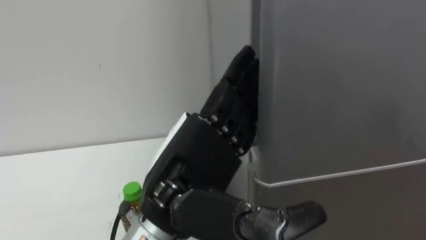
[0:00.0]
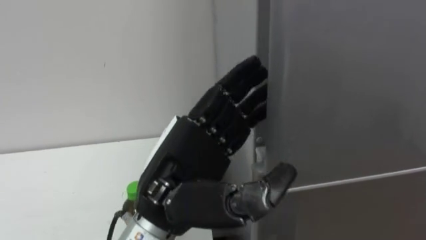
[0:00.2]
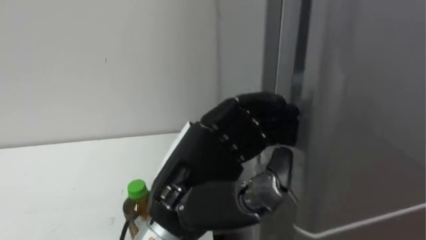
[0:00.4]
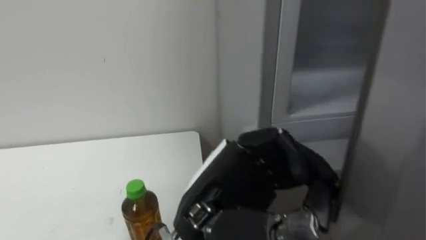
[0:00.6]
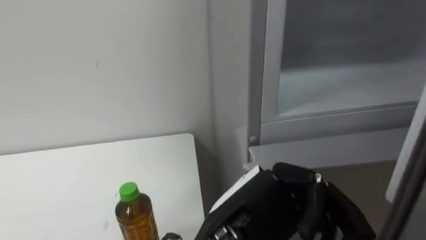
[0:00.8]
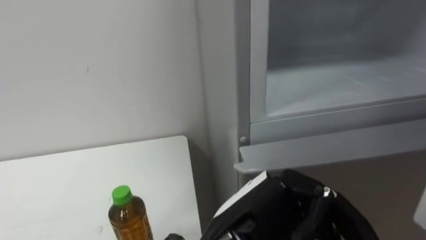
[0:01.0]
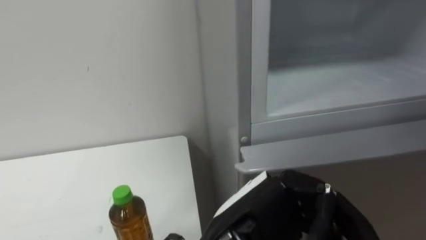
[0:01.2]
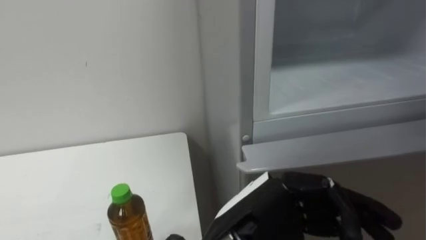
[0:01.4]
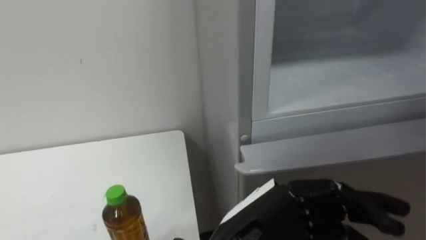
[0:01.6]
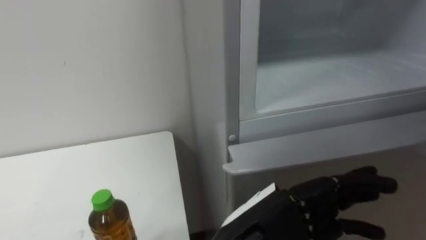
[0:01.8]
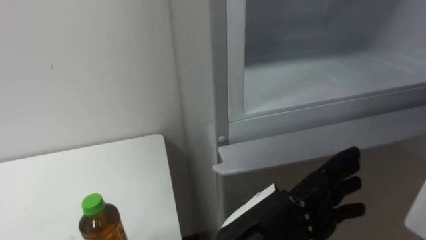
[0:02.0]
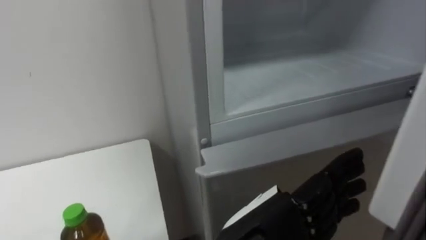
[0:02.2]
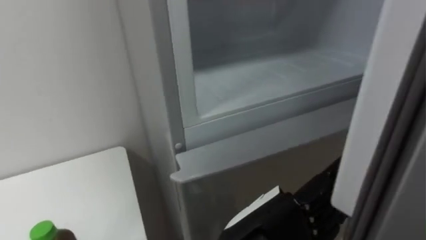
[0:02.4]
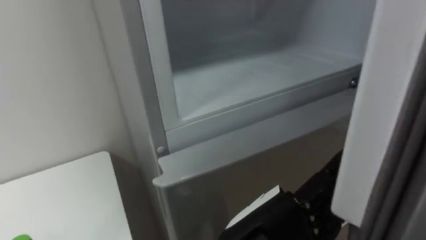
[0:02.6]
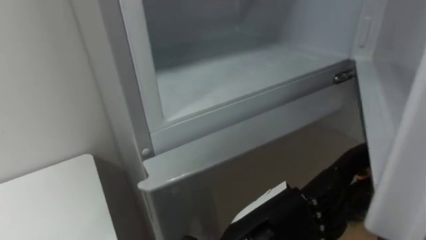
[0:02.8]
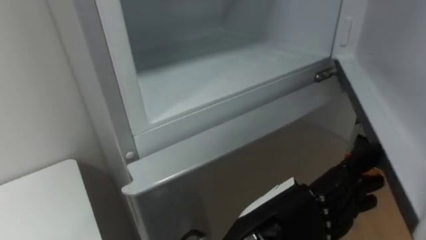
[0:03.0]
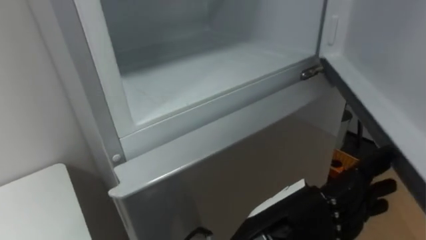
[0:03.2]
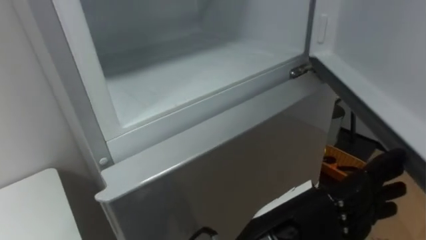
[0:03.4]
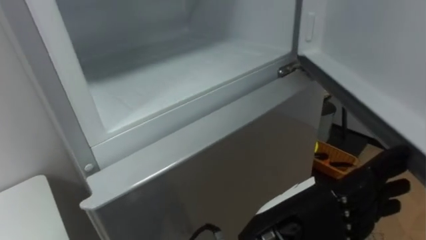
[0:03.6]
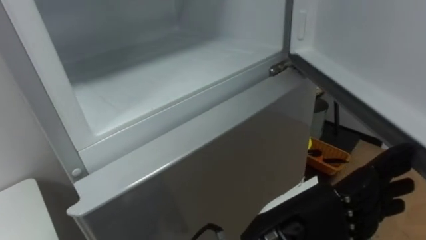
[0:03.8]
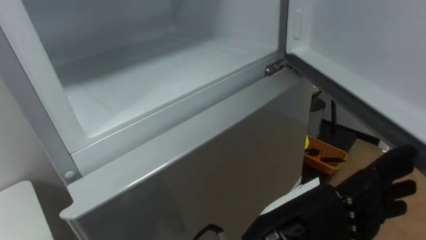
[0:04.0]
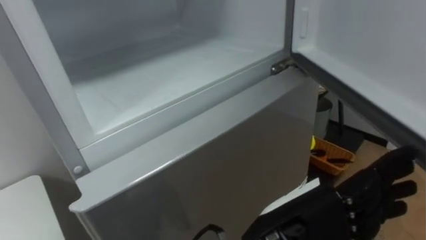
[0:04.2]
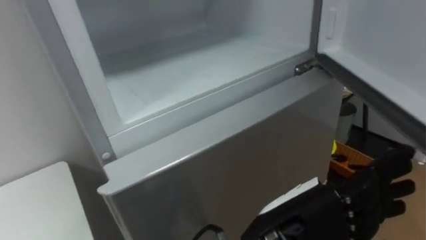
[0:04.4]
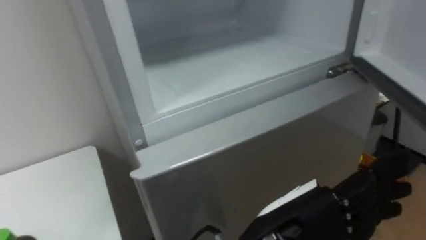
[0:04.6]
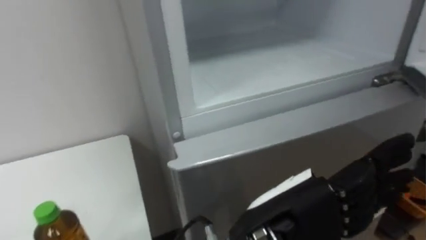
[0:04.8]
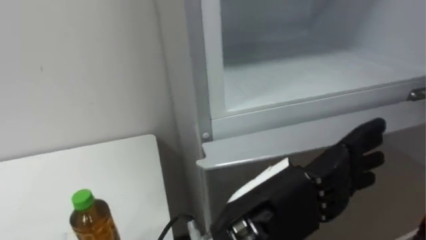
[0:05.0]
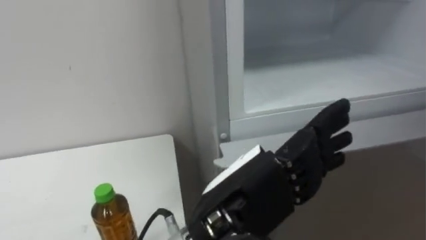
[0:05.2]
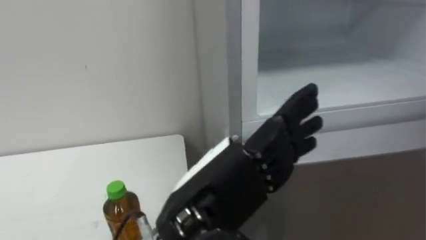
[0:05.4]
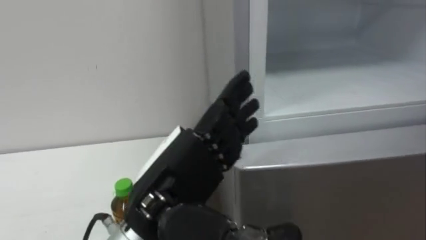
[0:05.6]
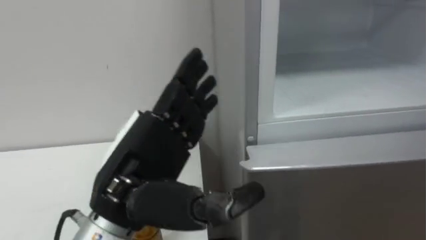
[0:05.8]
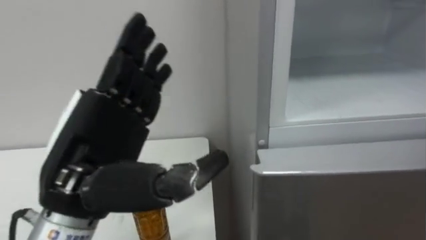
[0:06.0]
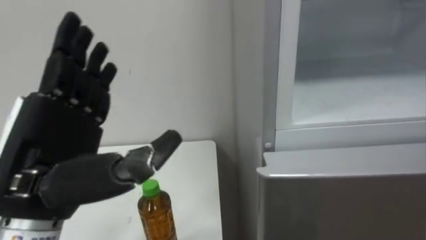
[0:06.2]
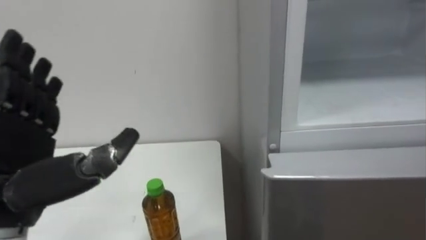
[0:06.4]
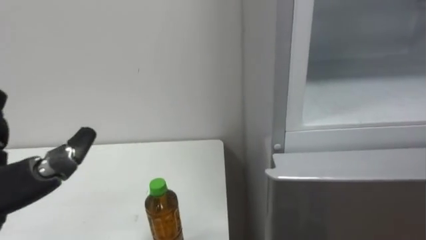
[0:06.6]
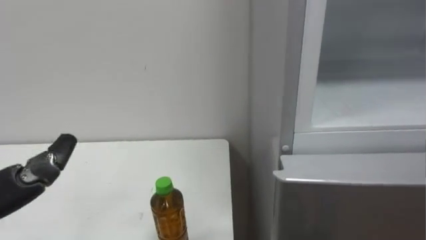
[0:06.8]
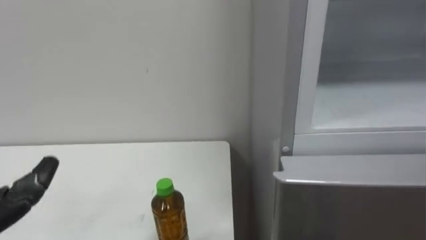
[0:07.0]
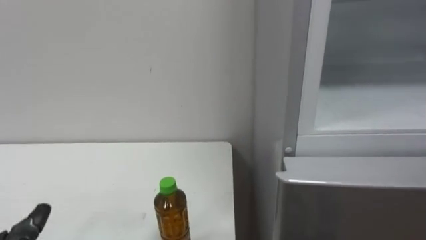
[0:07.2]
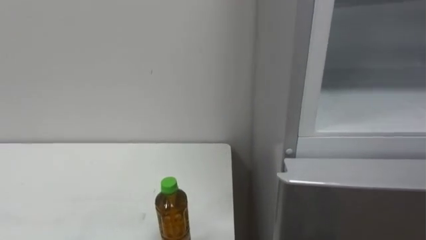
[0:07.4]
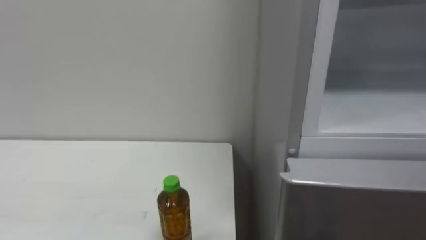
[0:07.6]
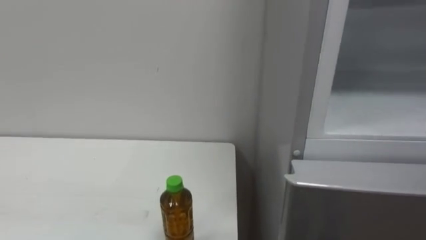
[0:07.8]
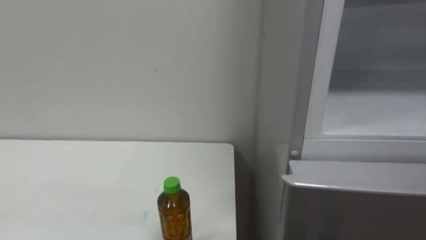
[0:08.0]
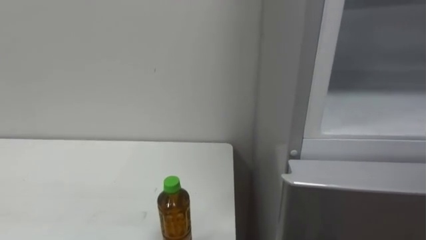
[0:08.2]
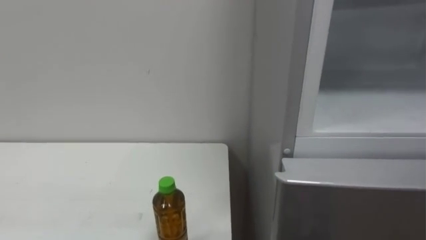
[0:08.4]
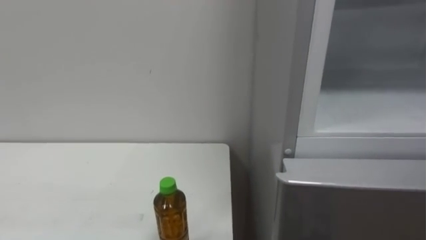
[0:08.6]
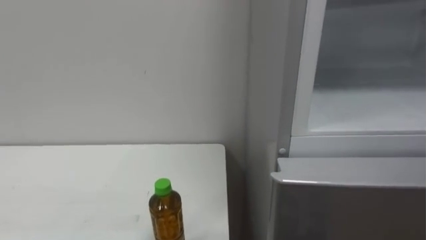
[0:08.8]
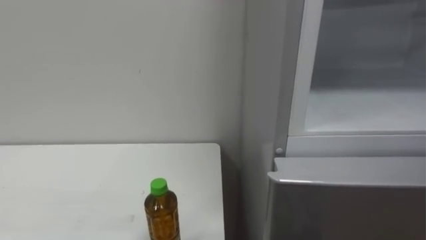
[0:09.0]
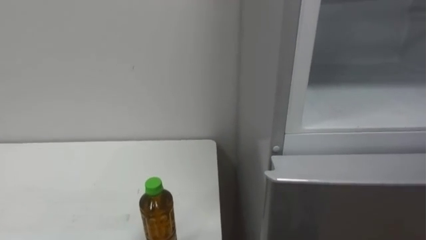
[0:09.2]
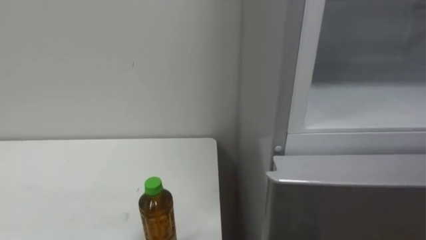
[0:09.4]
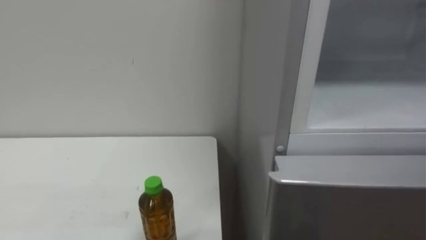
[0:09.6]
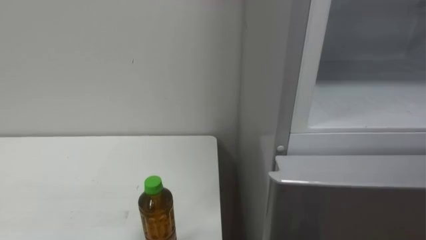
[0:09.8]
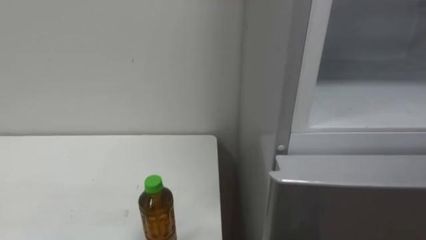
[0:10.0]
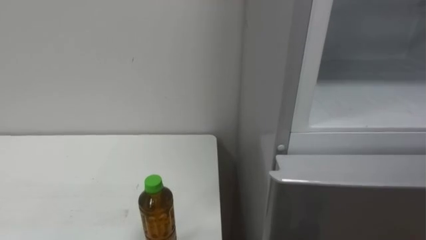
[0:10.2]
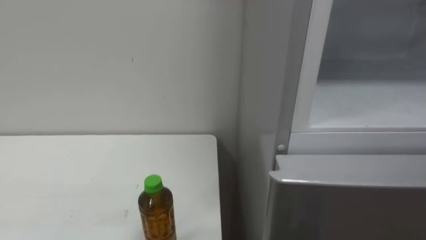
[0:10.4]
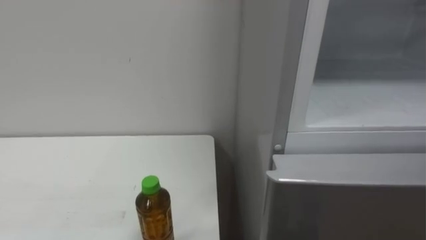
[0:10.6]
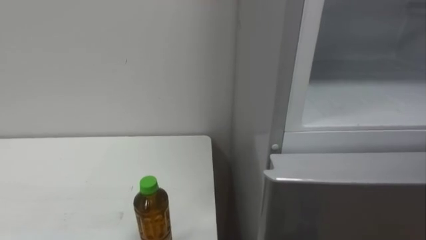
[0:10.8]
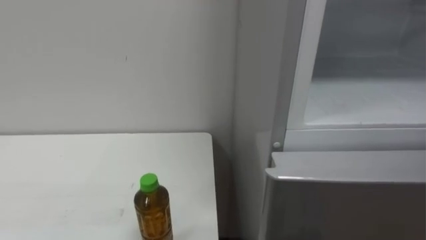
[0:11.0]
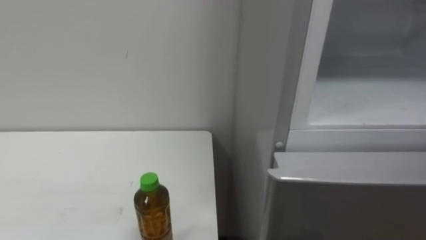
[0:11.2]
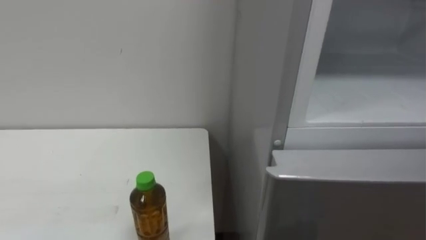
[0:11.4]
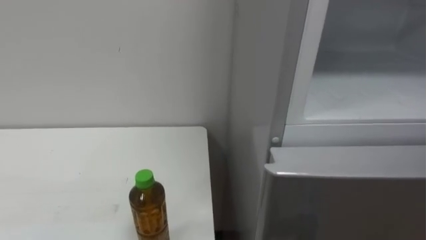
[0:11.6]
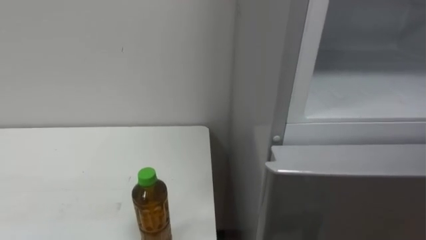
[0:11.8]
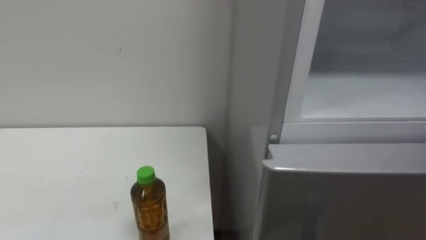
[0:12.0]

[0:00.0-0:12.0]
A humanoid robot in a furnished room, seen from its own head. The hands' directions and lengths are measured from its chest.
Task of the whole recording: Open the upper refrigerator door, put the drink from the table into the refrigerator, and then close the refrigerator door.
0:00.0 to 0:01.6: The left hand travels to the right and downward by some 10 cm, and closes, then reopens.
0:04.4 to 0:06.0: The left hand shifts approximately 20 cm to the left.

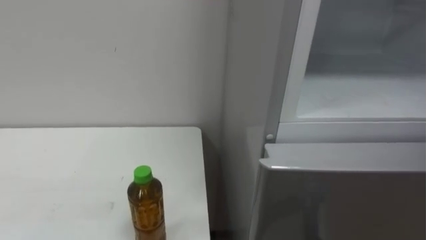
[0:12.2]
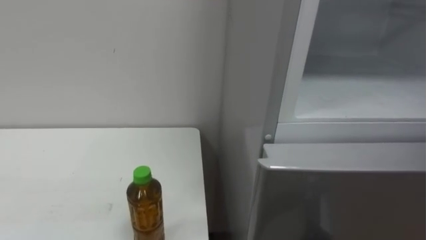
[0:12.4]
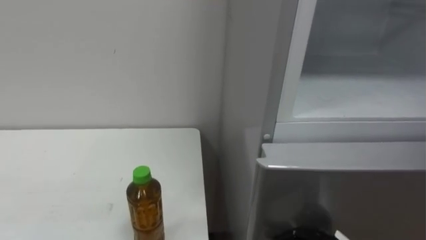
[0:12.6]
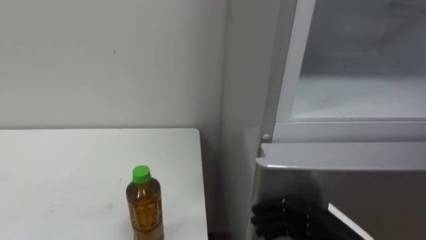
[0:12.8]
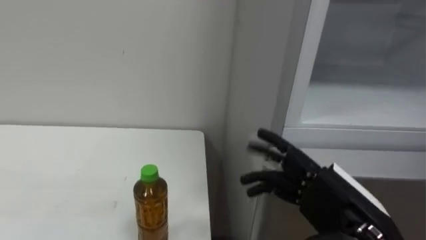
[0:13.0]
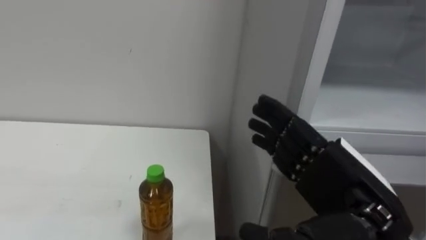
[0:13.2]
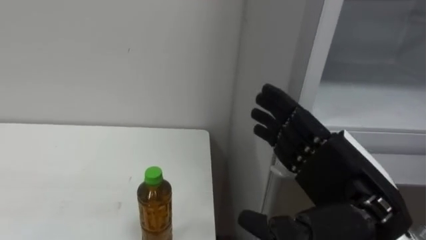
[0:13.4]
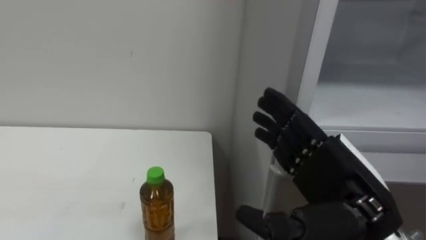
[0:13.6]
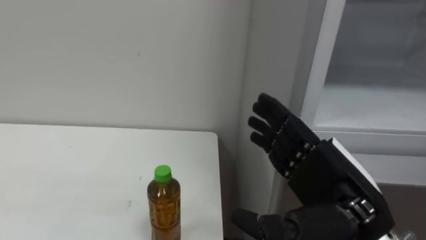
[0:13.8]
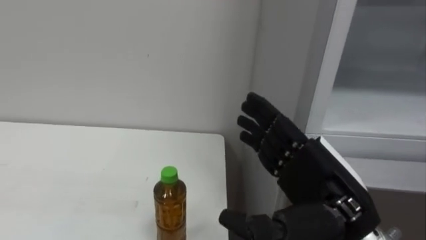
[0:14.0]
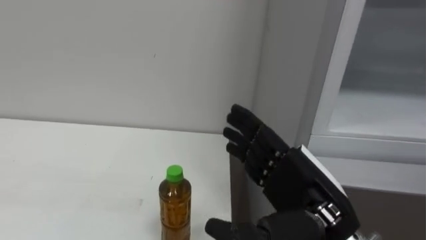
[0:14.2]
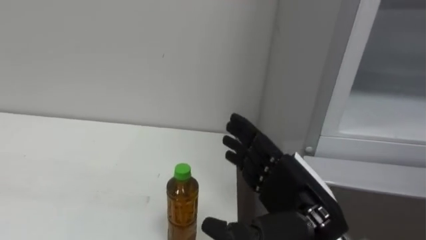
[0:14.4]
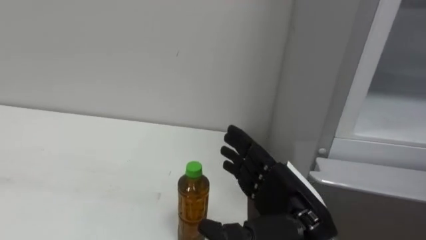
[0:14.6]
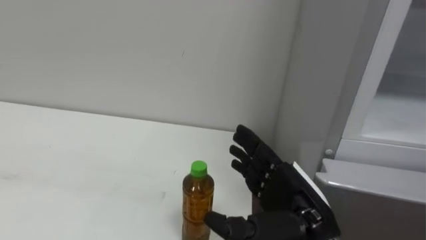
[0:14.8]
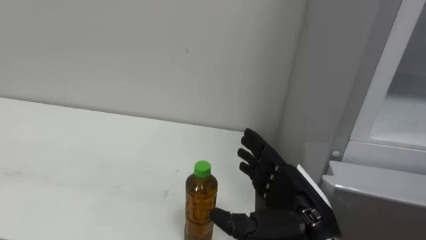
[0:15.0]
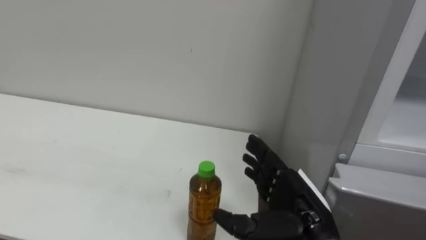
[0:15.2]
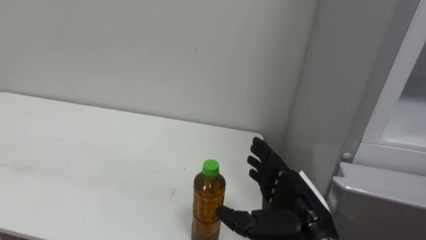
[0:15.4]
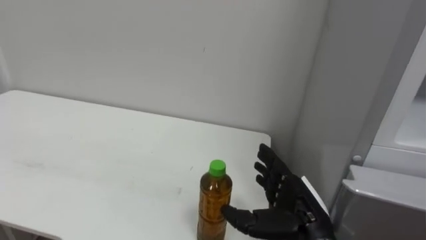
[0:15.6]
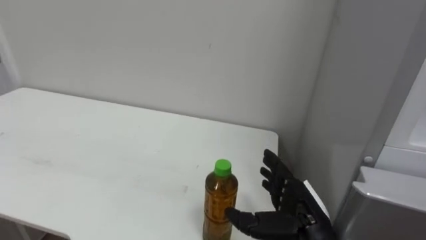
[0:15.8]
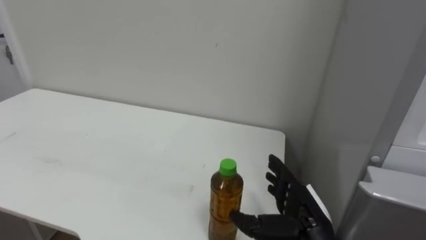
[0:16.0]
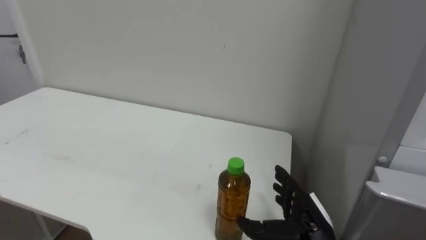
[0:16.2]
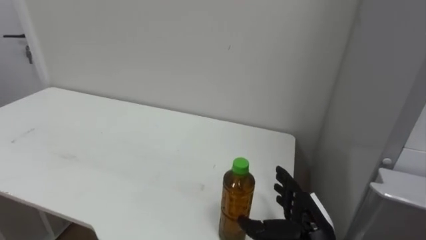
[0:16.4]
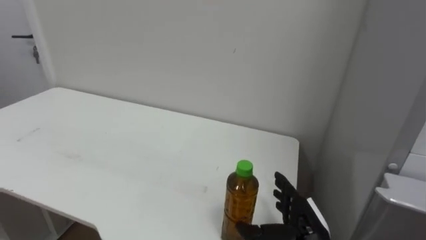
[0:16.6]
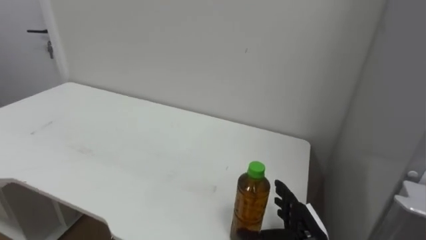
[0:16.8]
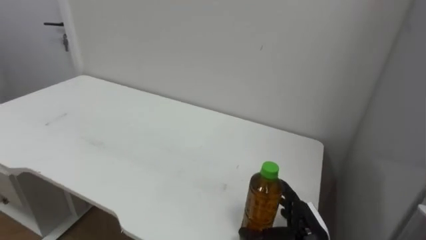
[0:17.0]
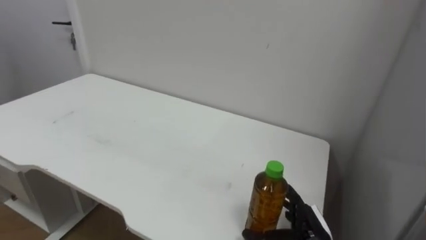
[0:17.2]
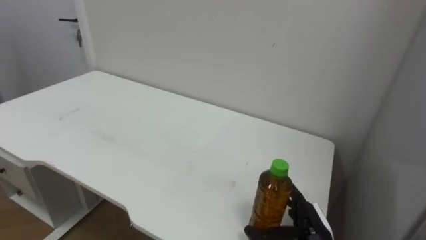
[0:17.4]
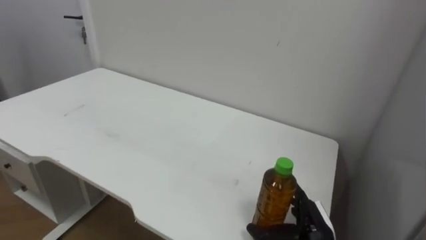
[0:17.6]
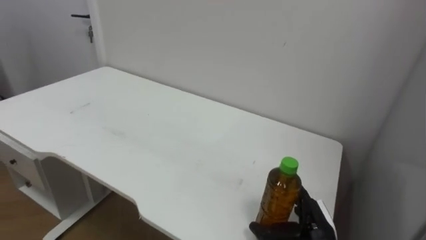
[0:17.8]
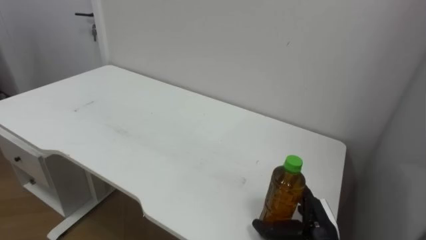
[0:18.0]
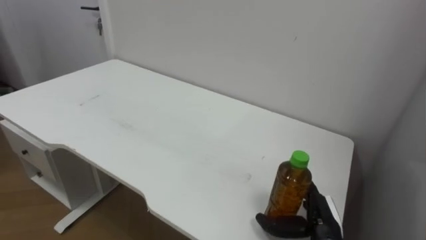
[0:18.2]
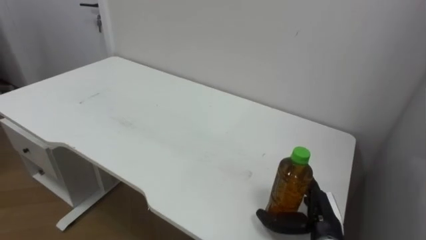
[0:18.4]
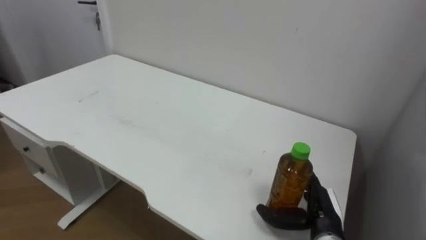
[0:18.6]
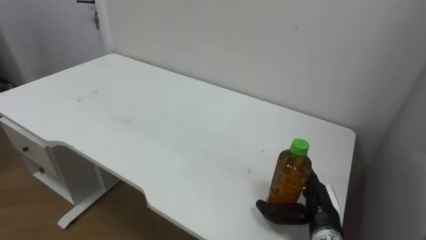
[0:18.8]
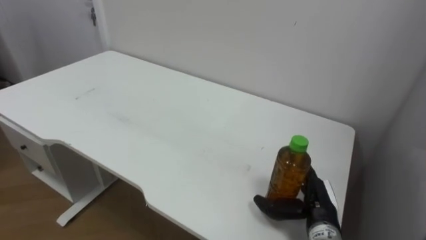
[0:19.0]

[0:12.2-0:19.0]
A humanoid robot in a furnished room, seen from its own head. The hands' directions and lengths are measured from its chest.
Task of the whole recording: Open the upper refrigerator door, put the drink from the table into the refrigerator, and then close the refrigerator door.
0:13.6 to 0:15.0: The right hand moves downward, about 5 cm.
0:15.0 to 0:16.2: The right hand goes roughly 10 cm downward.
